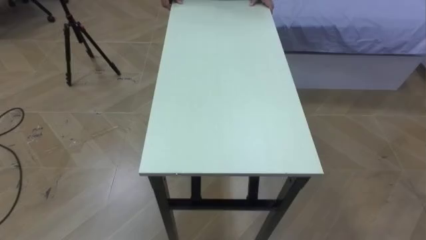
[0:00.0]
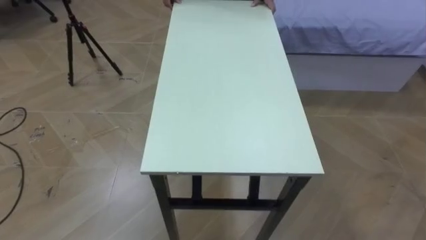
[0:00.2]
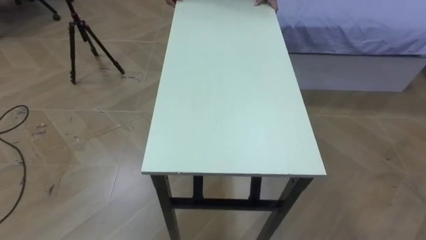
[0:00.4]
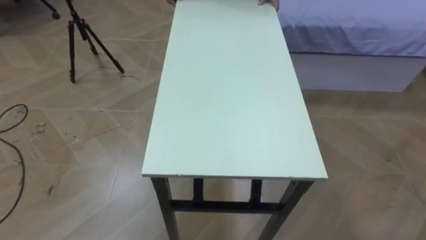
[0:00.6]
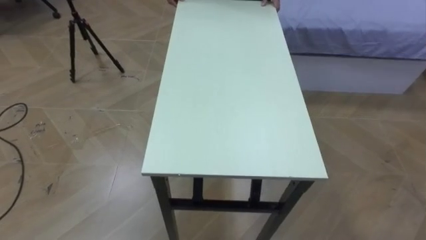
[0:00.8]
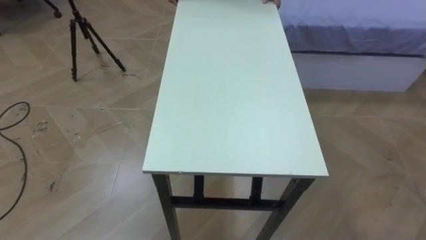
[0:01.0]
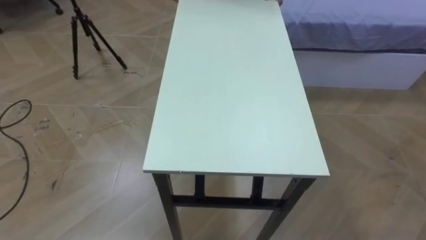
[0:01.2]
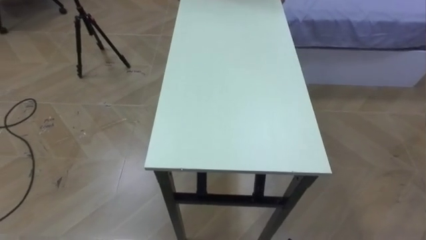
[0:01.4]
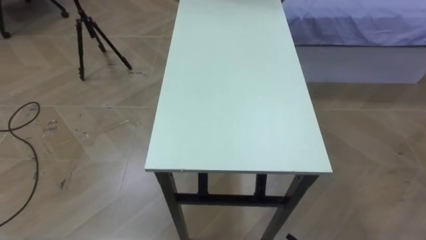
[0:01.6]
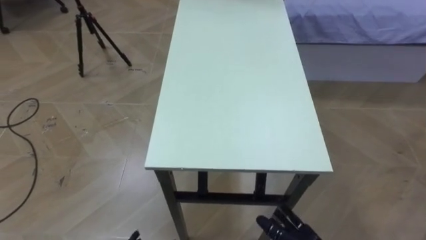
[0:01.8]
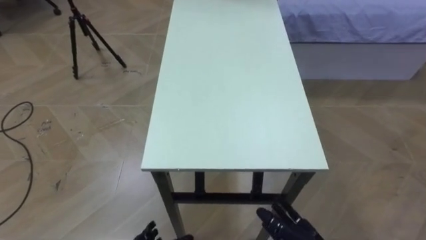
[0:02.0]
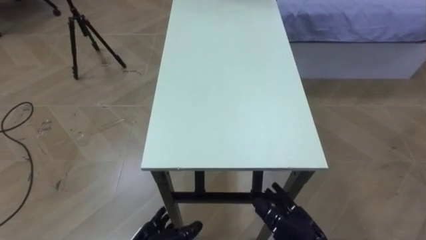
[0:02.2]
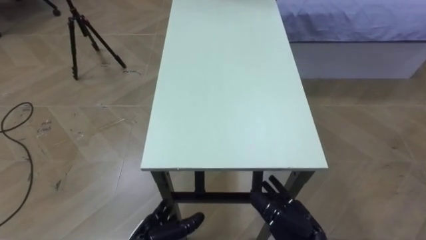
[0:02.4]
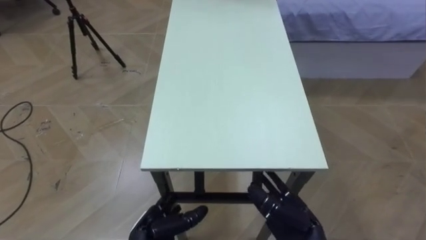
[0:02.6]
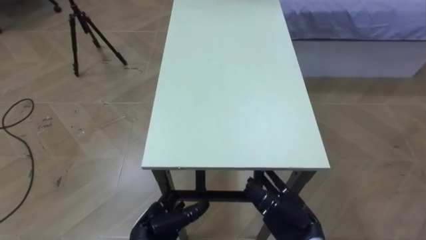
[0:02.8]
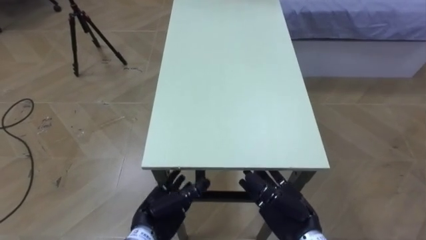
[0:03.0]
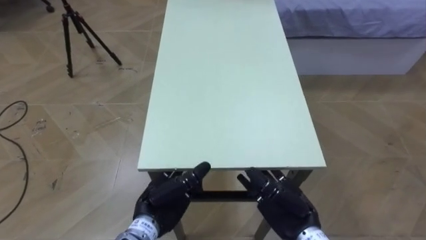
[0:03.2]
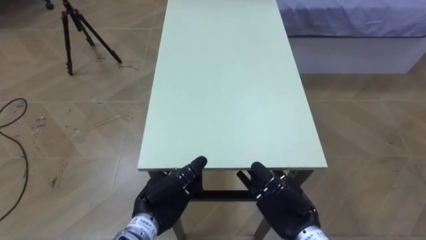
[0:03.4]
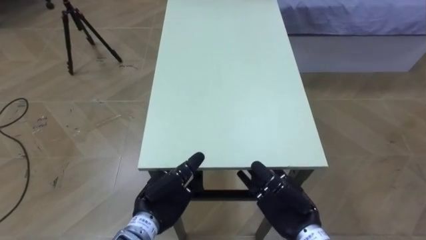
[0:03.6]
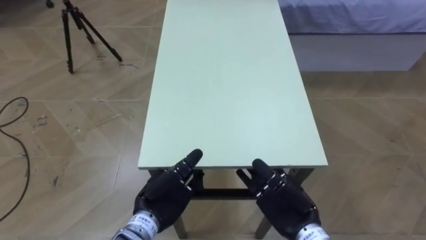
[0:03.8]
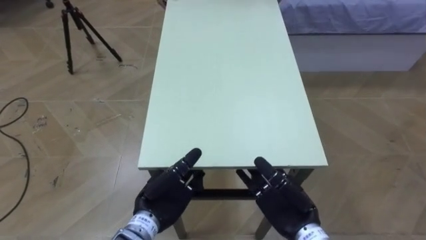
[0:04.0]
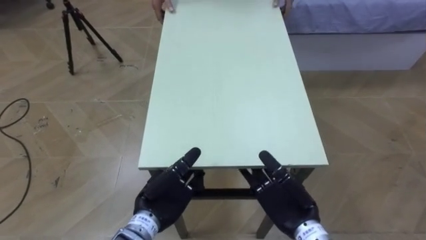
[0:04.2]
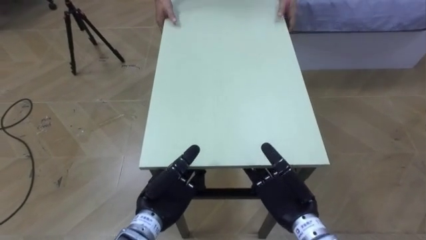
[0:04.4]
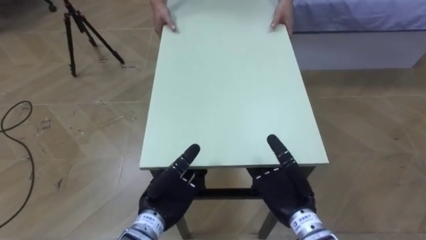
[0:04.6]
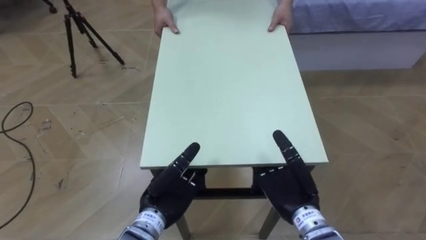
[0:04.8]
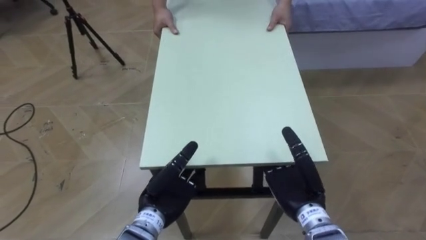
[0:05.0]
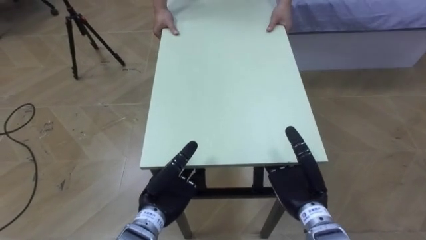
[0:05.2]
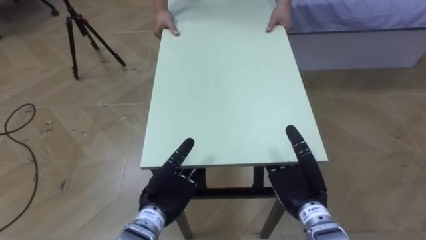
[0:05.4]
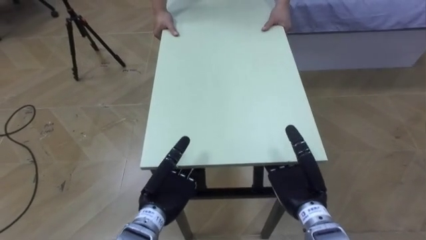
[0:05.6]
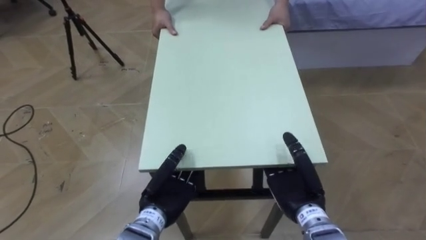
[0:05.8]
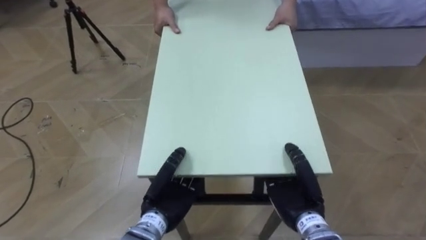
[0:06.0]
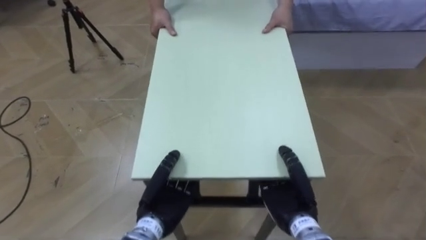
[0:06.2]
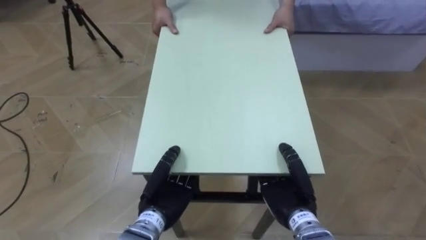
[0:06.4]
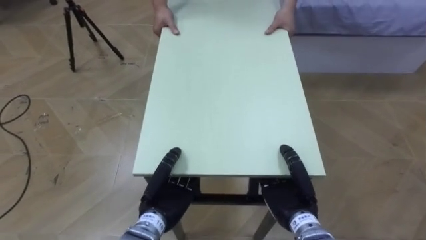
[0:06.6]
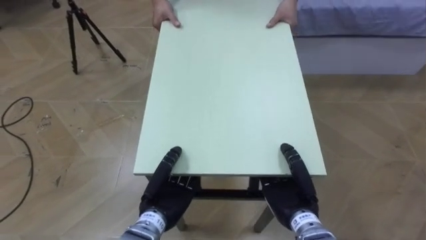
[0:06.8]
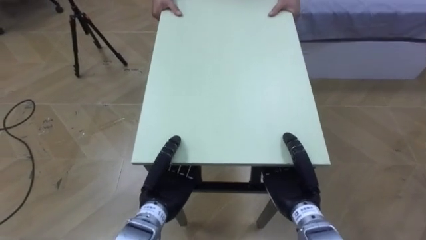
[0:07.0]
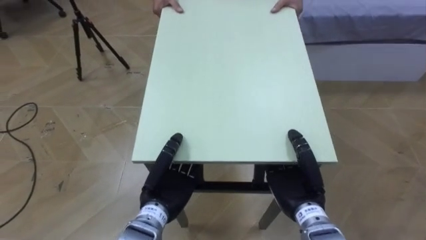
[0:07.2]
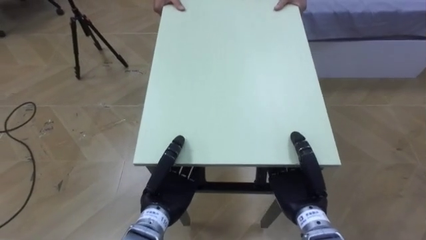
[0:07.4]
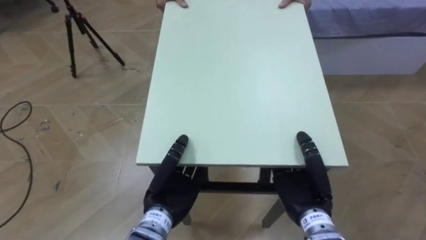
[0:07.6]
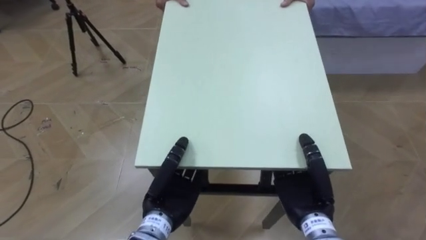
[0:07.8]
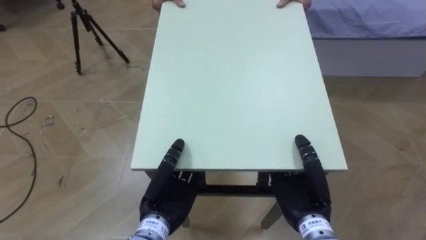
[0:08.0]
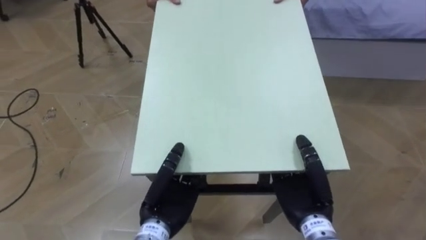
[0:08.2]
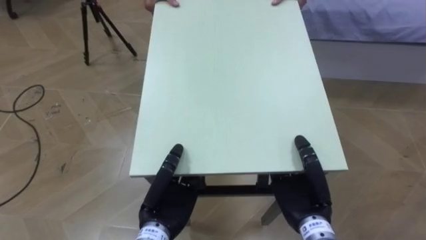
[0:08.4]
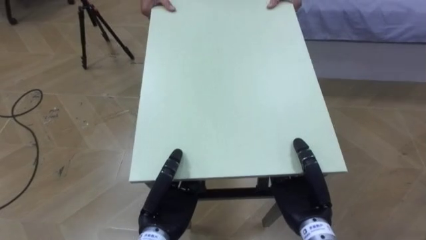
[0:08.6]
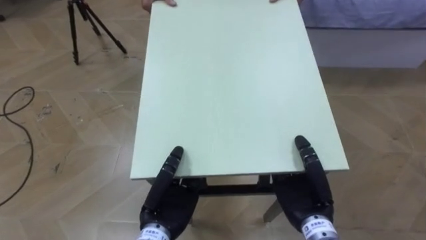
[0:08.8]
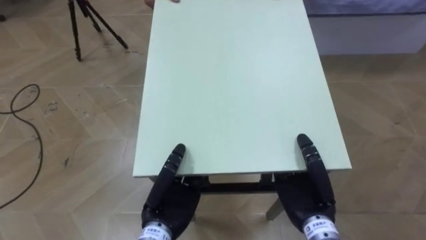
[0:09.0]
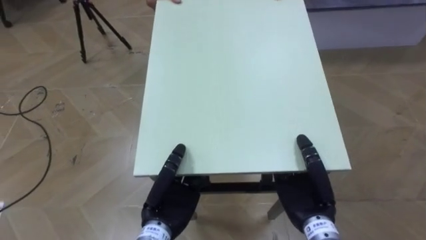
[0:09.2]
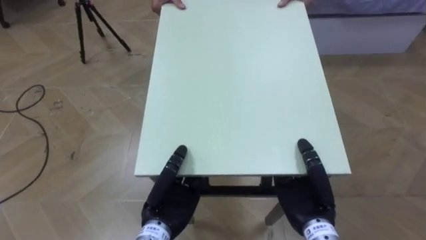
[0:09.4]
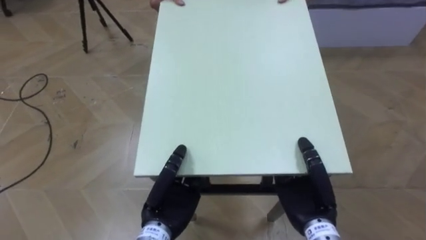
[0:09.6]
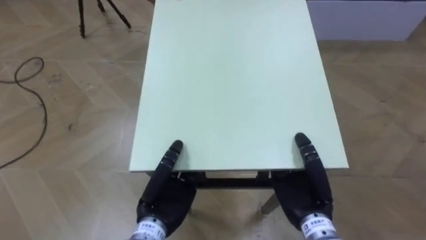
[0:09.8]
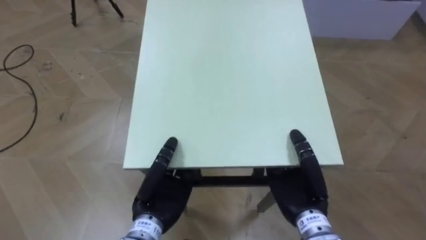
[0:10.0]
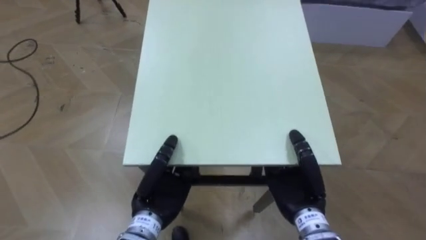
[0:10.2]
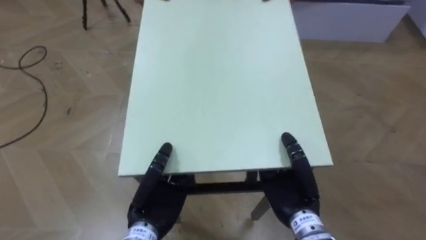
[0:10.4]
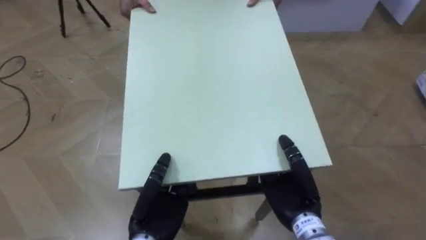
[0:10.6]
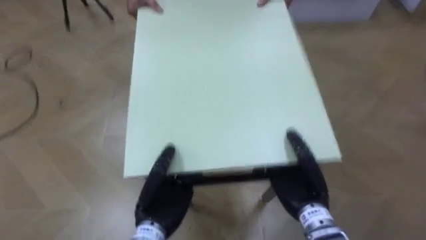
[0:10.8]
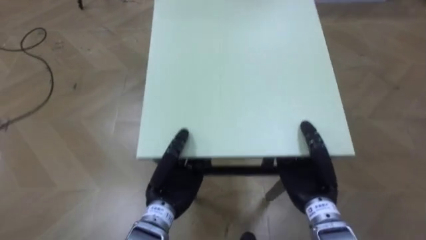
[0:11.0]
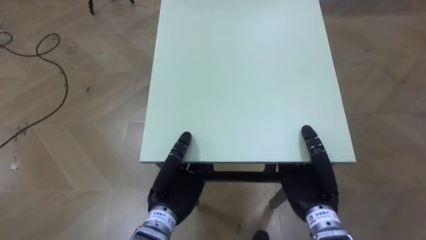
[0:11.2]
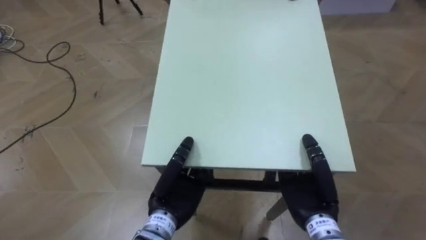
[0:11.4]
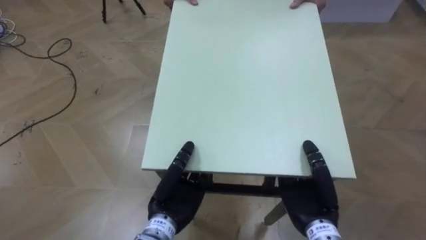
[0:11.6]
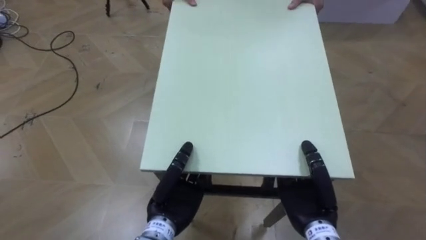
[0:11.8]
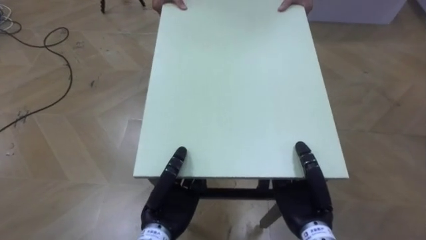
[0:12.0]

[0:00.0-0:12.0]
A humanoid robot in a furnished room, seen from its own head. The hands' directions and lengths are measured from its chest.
Task of the whole recording: Move the table to the back left with someone.
0:04.4 to 0:06.0: The left hand closes its fingers, while the right hand closes.

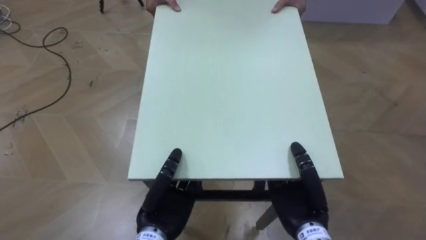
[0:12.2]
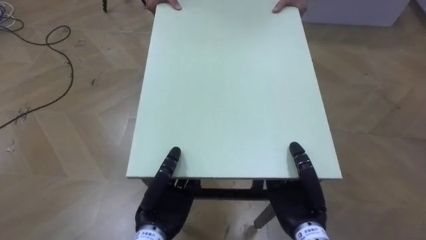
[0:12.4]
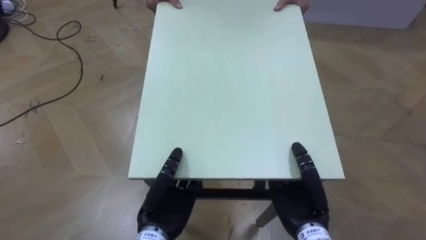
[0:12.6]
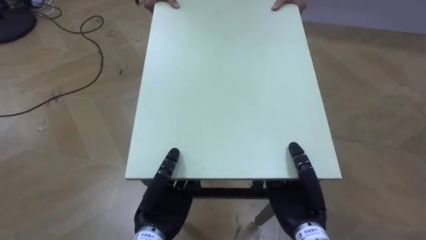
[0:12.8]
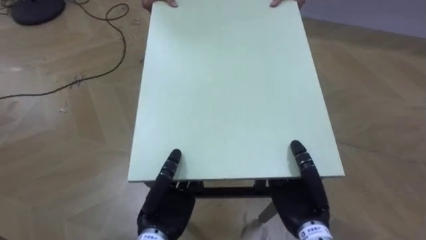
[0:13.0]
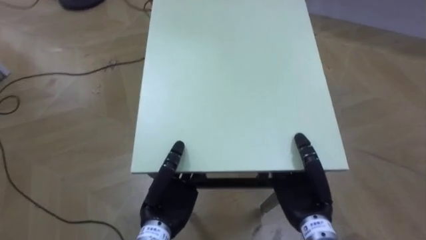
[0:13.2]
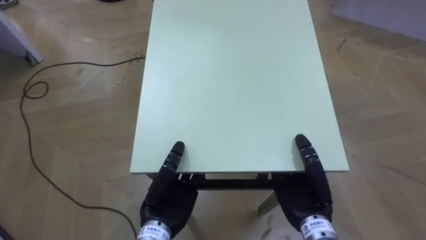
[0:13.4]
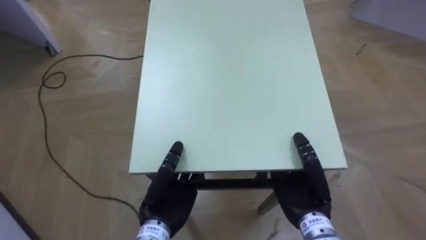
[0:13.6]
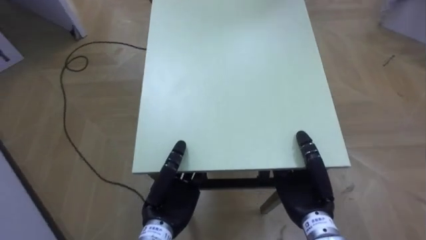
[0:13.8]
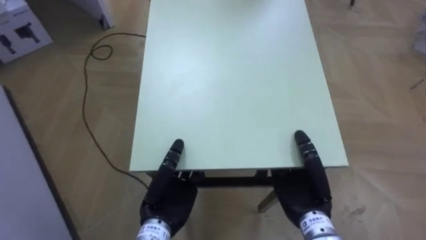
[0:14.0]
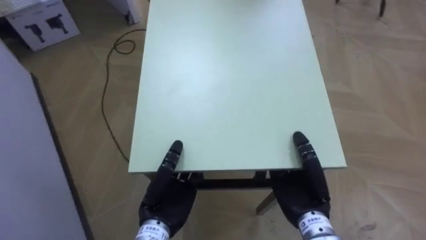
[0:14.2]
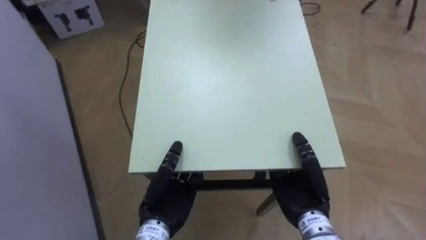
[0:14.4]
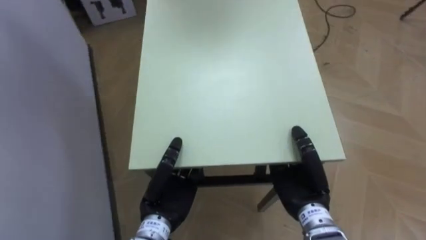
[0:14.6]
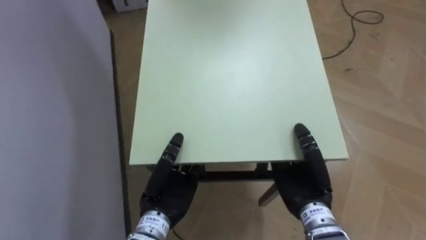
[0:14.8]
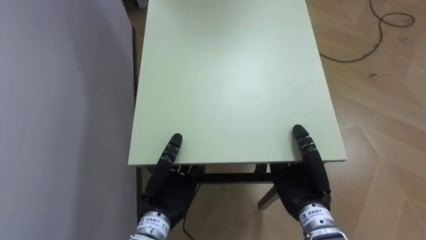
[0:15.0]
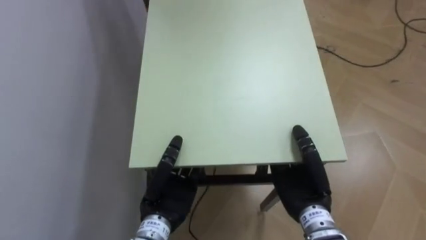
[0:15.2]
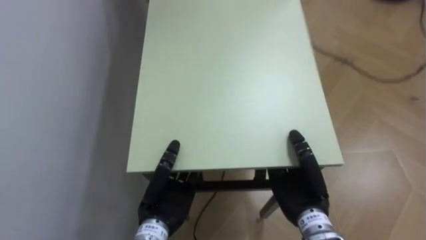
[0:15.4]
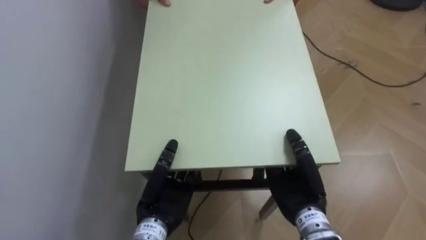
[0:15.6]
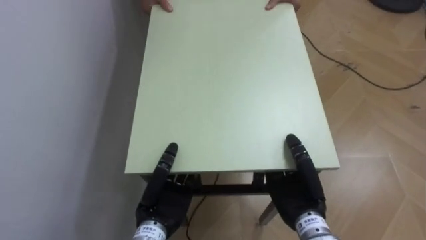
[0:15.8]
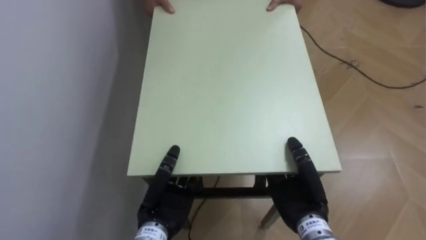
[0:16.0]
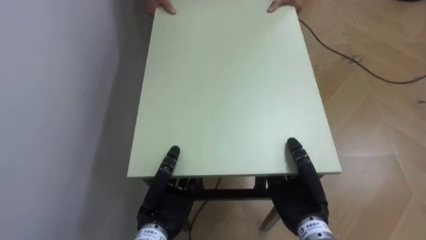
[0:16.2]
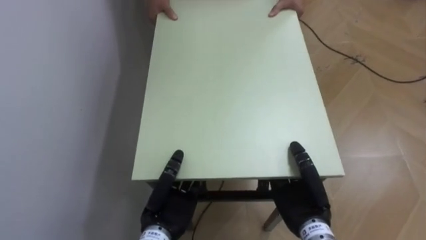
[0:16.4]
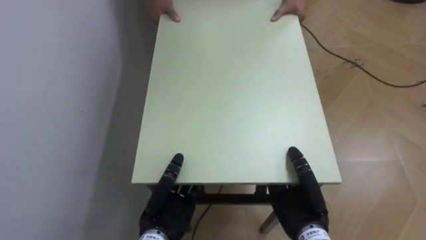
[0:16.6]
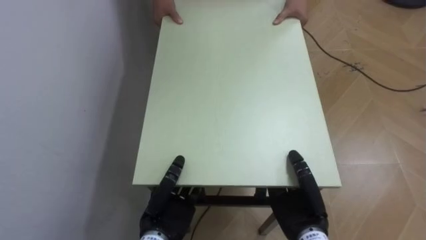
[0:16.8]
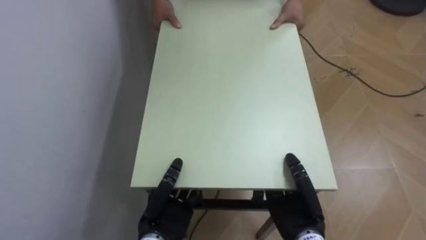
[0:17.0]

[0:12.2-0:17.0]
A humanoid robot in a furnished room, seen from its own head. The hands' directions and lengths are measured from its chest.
Task of the whole recording: Move the table to the back left with someone.
0:12.2 to 0:13.8: The robot's body swings approximately 40 degrees to its left.
0:13.8 to 0:15.4: The robot turns to its left by some 40 degrees.
0:15.4 to 0:17.0: The right hand changes place by roughly 5 cm.
